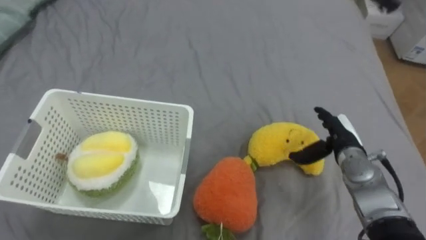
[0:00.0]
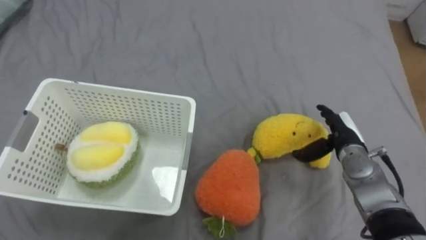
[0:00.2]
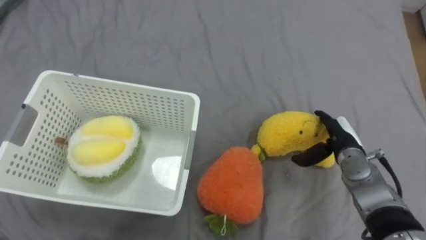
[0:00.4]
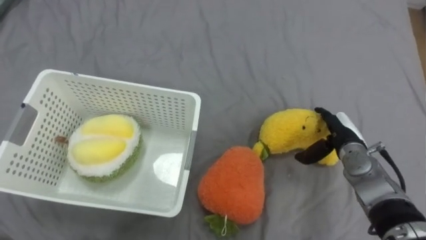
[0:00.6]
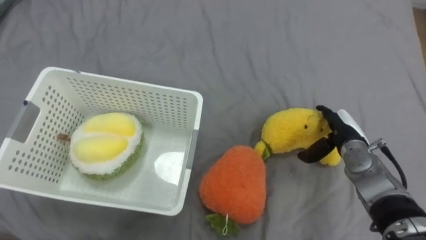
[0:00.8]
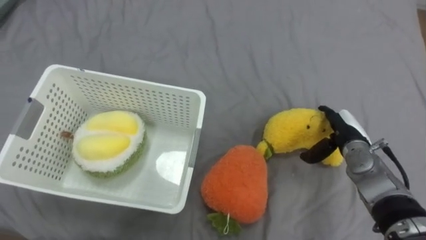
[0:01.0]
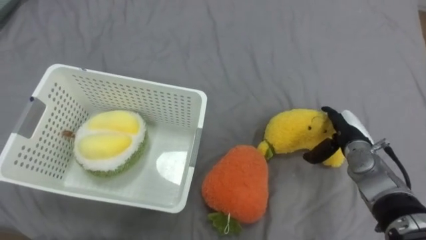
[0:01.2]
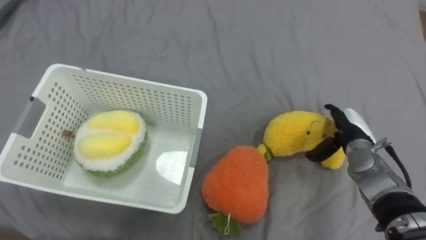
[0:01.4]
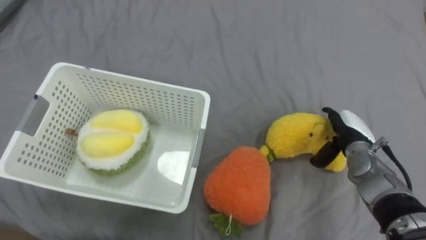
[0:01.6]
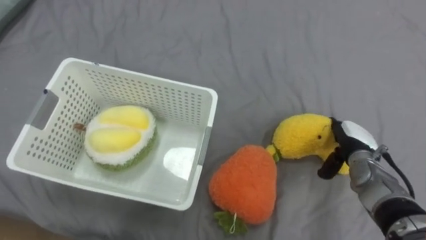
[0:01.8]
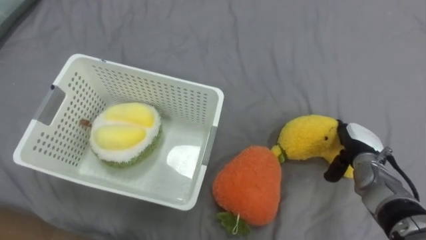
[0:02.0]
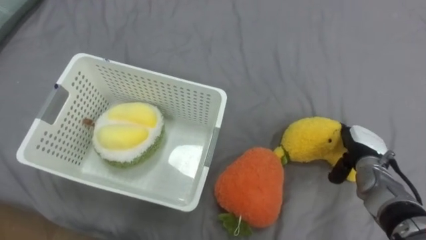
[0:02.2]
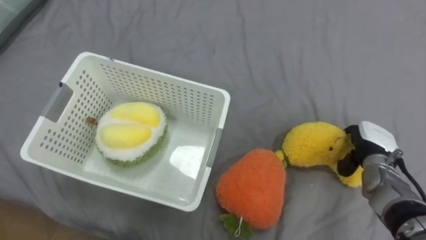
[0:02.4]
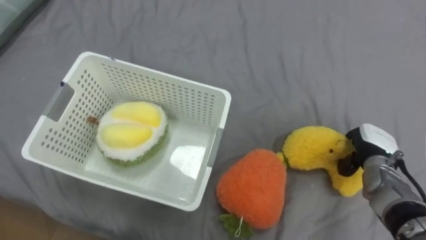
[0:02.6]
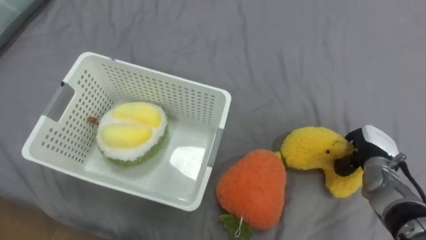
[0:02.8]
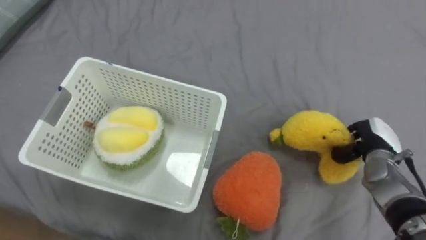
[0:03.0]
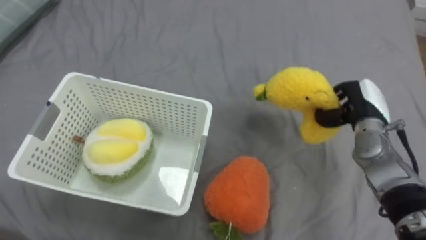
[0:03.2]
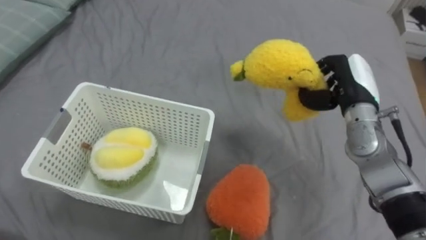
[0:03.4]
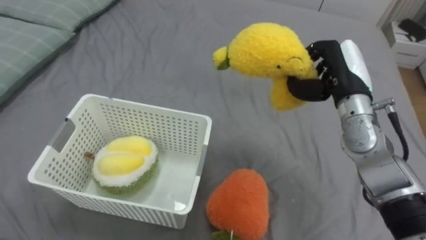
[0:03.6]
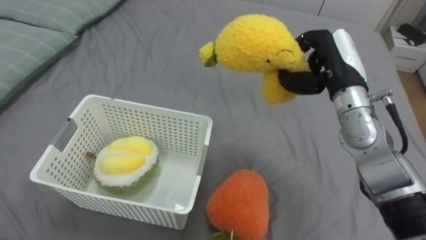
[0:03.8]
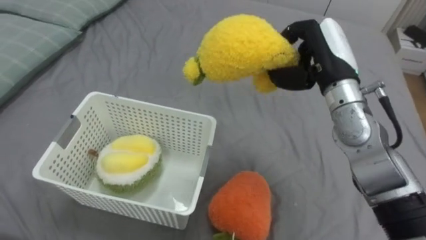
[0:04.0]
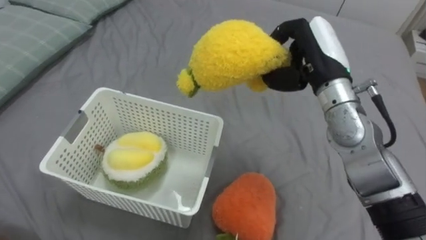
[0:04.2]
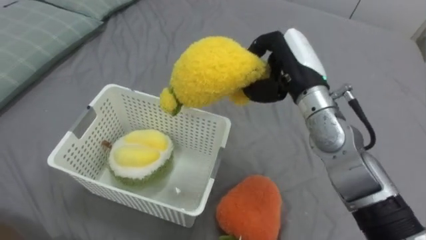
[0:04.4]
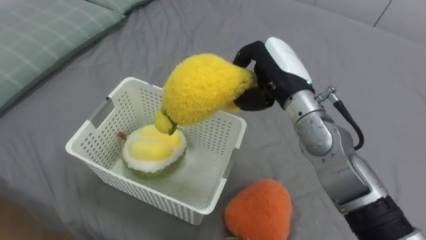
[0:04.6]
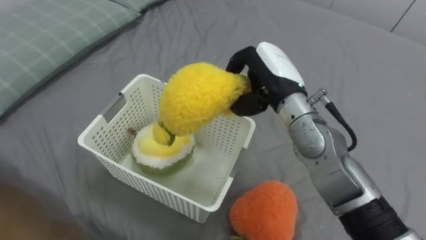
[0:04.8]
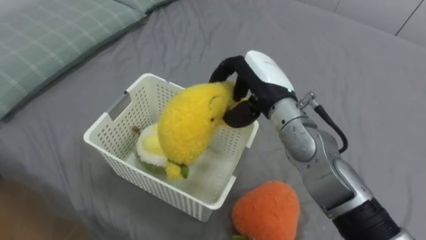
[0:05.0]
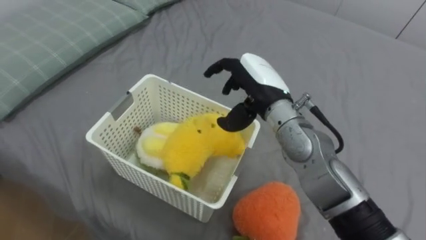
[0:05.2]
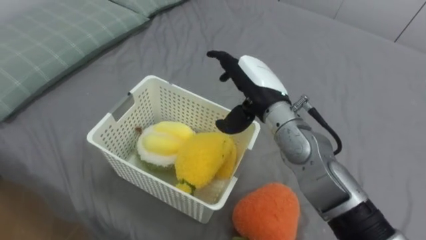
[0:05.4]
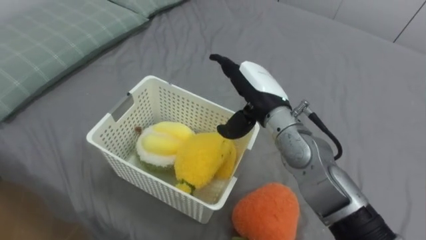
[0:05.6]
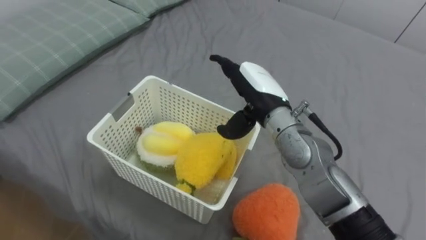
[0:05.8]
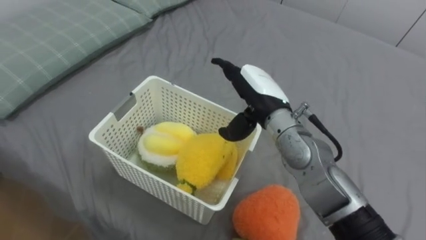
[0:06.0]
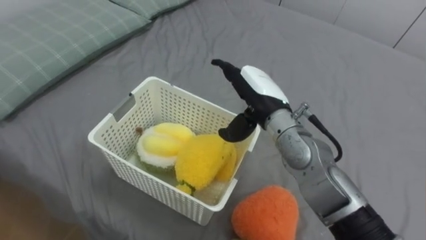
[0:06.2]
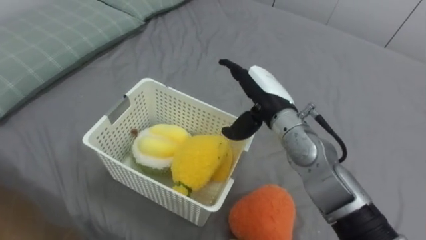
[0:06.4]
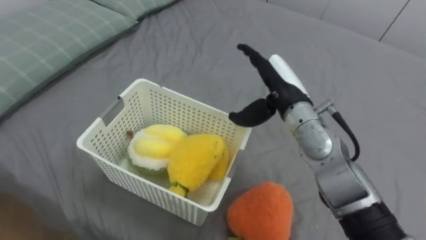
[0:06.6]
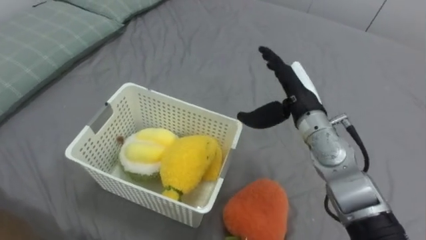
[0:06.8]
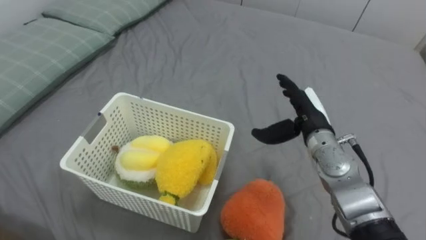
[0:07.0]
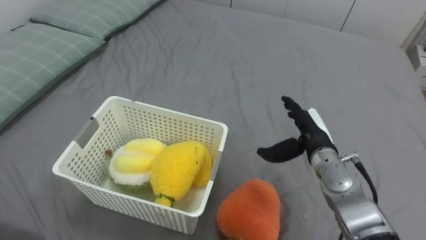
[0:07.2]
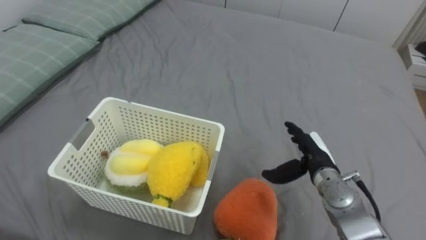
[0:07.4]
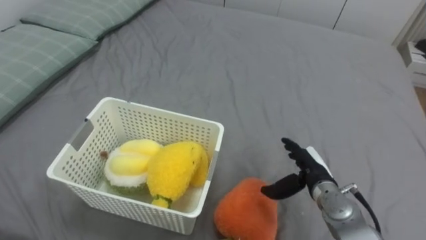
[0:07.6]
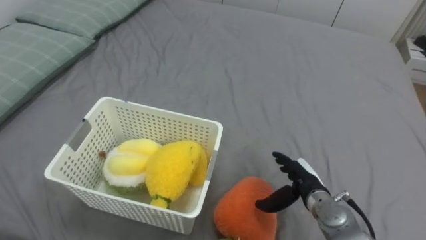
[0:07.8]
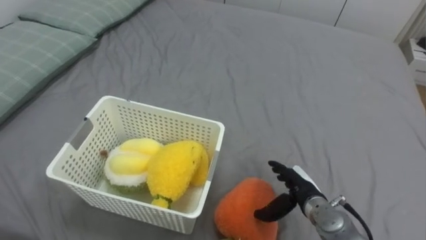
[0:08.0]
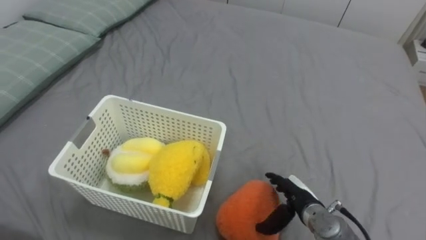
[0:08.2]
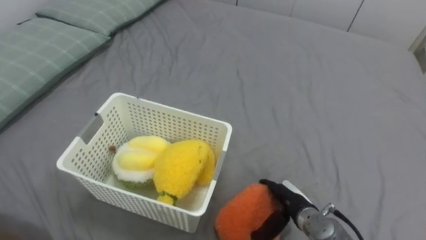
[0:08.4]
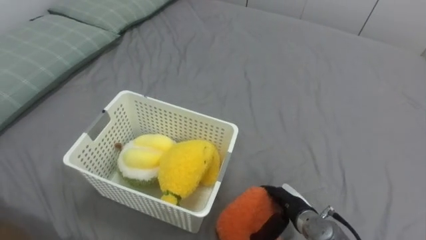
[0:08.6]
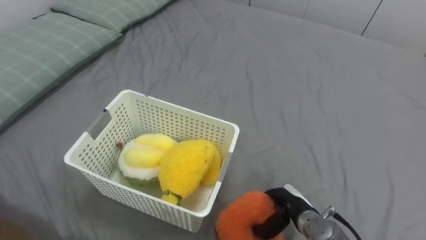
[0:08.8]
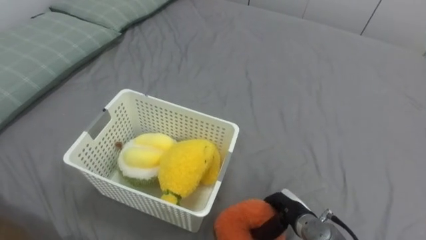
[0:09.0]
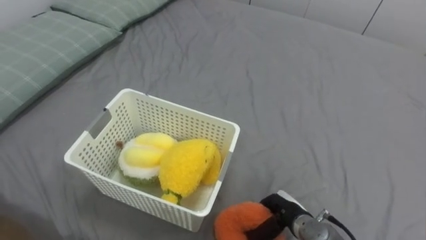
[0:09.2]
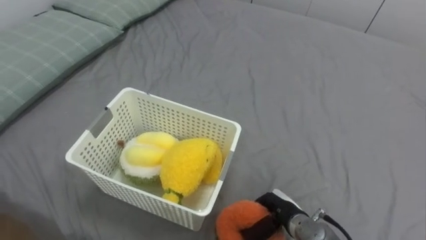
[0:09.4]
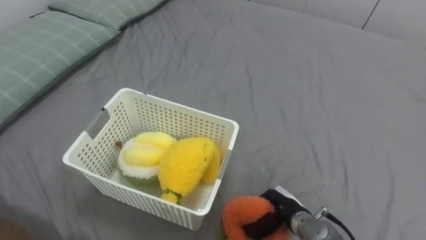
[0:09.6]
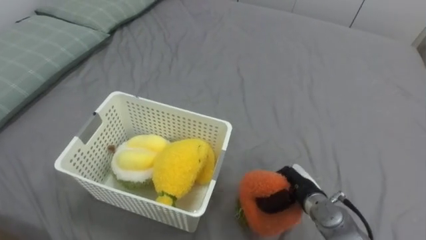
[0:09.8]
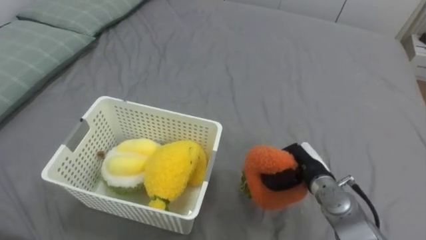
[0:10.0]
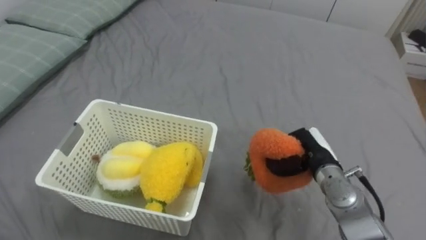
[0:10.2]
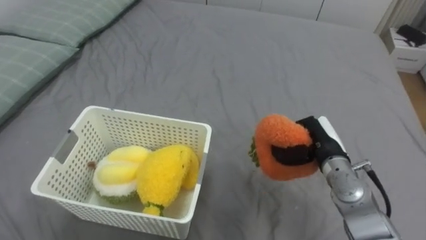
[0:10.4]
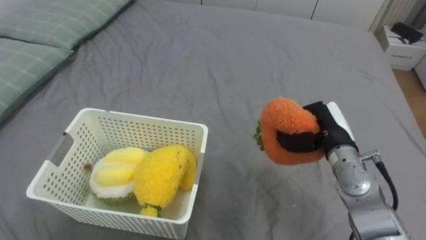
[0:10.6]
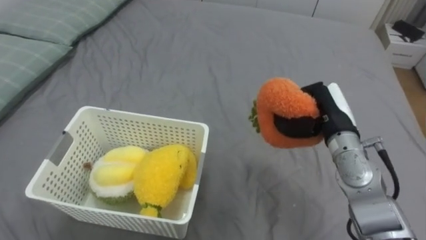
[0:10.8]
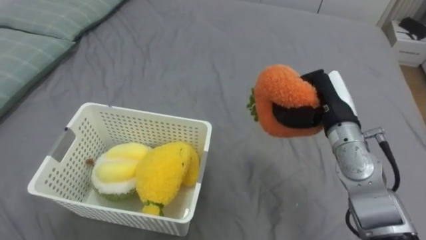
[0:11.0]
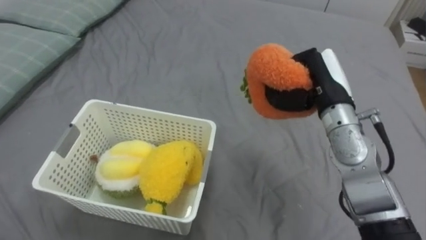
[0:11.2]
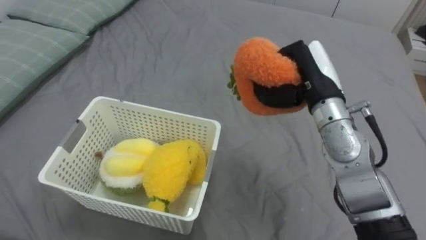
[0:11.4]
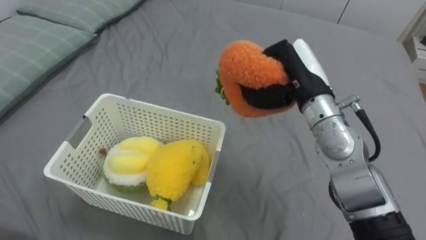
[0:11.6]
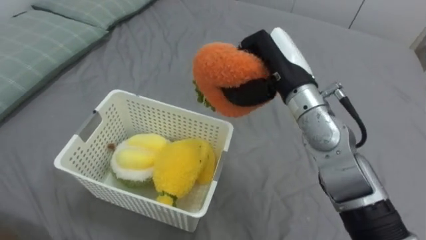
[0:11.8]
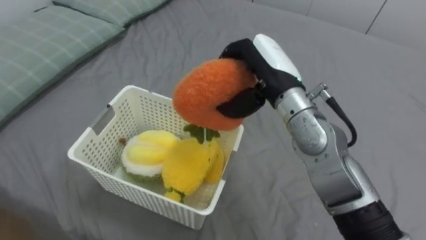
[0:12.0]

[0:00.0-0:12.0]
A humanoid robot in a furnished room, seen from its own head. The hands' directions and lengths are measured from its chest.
Task of the whole recording: Put the toys on the bed into the basket on the left.
0:01.6 to 0:03.0: The right hand shifts by about 5 cm, and closes its fingers.
0:03.0 to 0:04.4: The right hand moves to the left and upward, roughly 25 cm.
0:04.4 to 0:06.0: The right hand travels to the left by some 5 cm, and opens its fingers.
0:06.0 to 0:07.6: The right hand moves downward and to the right, roughly 20 cm.
0:07.6 to 0:09.0: The right hand heads downward and backward, covering some 10 cm, and closes.
0:09.0 to 0:10.4: The right hand shifts some 15 cm upward, forward and to the right.
0:10.4 to 0:12.0: The right hand goes roughly 20 cm upward and to the left, and opens its fingers.

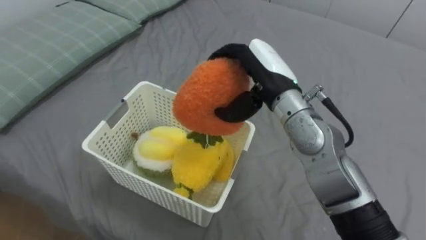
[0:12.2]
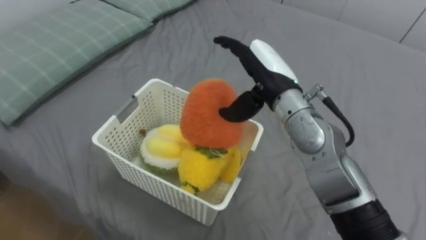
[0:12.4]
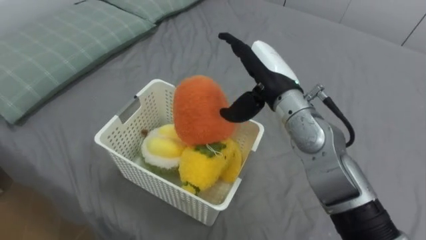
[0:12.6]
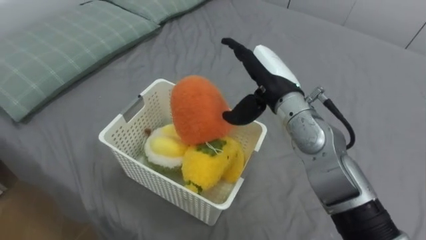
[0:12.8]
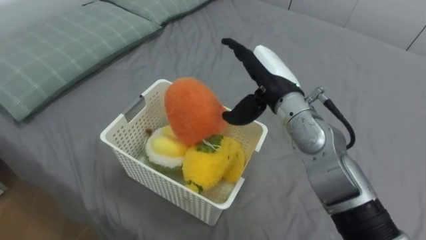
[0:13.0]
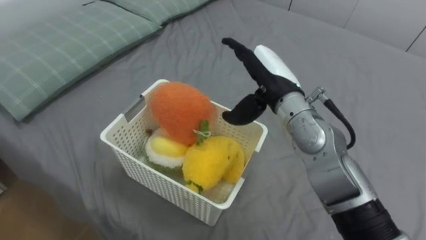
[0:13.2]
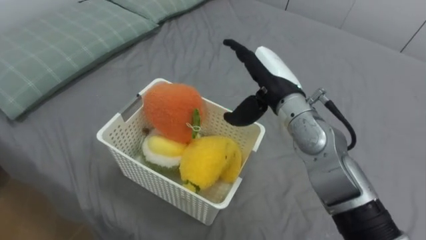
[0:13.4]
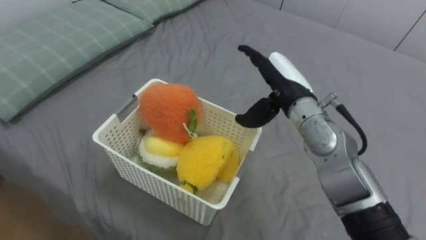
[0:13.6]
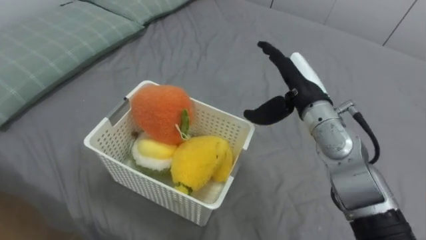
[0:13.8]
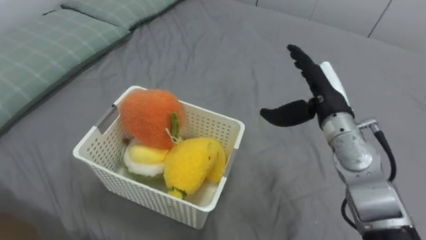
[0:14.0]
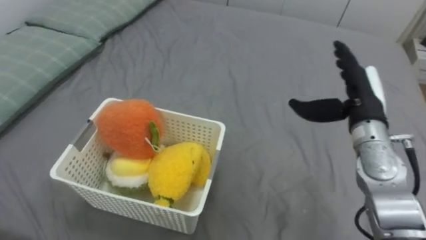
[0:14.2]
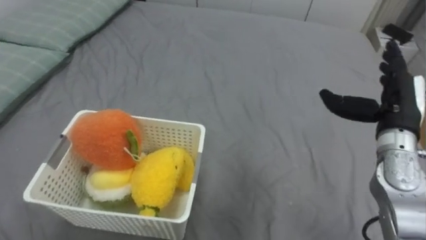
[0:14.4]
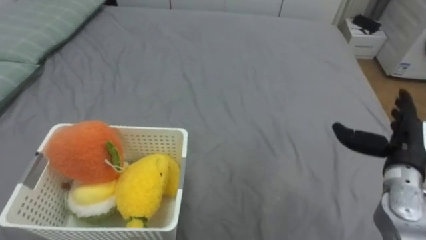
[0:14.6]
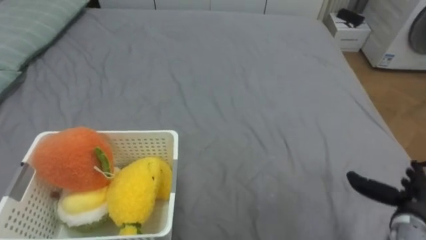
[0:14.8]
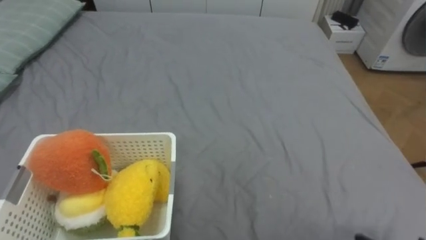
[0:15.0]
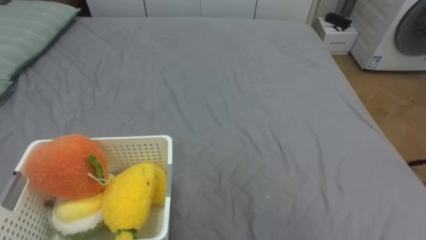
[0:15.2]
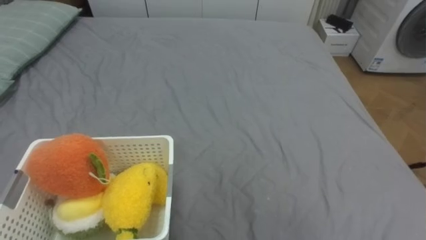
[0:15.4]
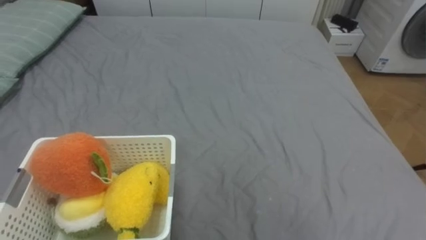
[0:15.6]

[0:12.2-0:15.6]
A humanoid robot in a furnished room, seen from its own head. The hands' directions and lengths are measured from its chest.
Task of the whole recording: Put the toys on the bed into the basket on the left.
0:12.2 to 0:13.8: The right hand shifts roughly 5 cm to the right.

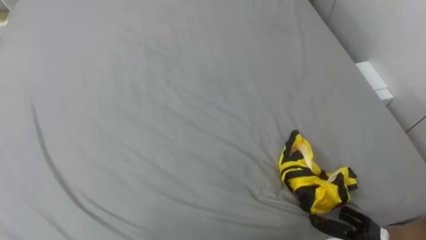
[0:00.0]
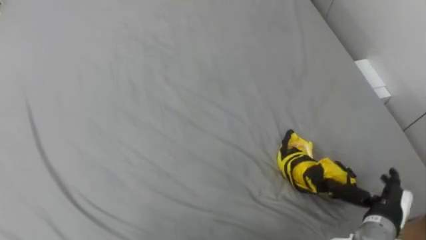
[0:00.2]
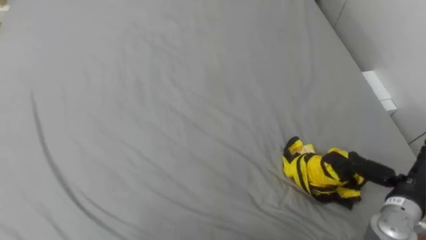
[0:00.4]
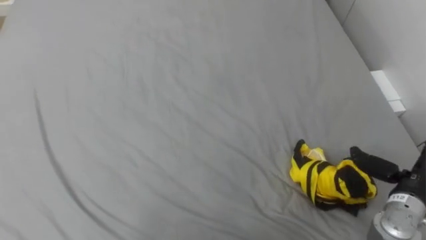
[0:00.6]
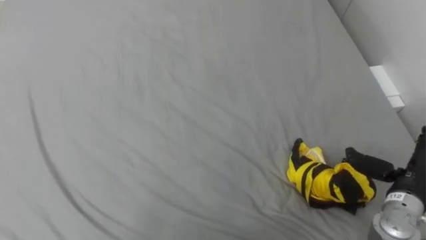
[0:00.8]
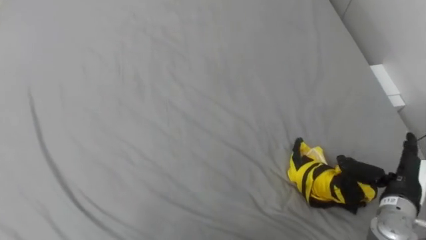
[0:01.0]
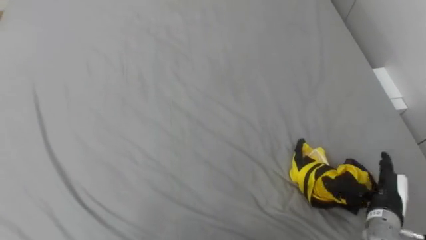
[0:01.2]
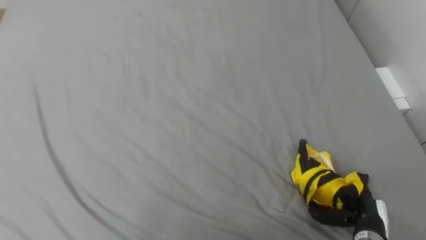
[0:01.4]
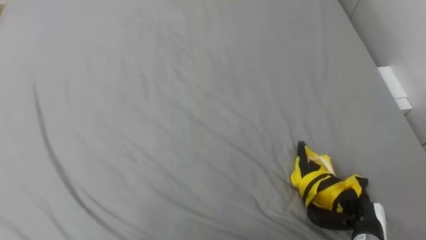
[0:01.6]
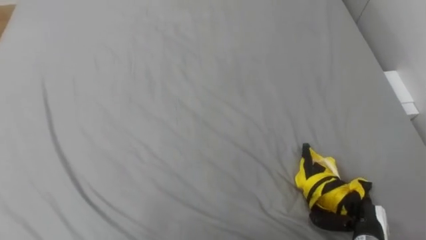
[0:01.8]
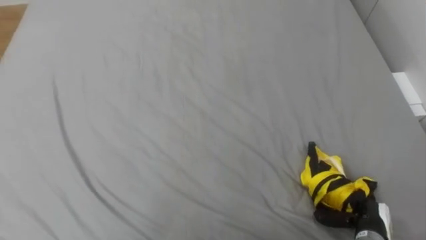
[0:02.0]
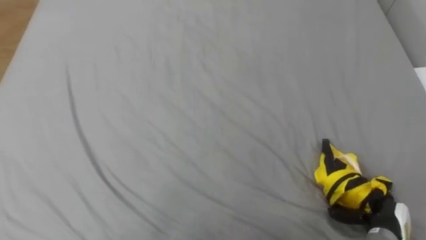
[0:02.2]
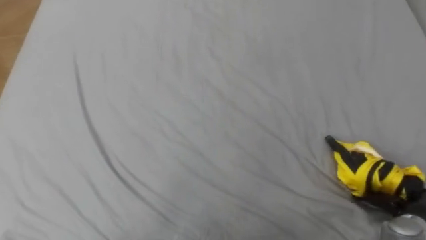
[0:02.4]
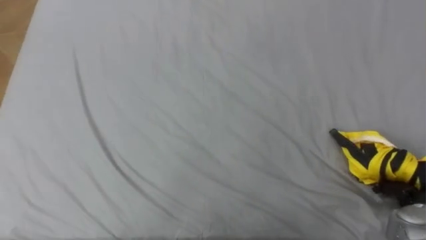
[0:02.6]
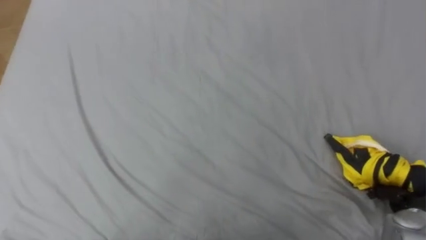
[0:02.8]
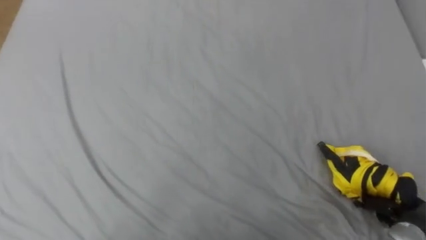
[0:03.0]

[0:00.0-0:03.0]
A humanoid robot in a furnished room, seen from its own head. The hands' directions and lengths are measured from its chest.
Task of the whole recording: Pick up the yellow clothes on the bed and place them into the white basket on the right.
0:01.6 to 0:03.0: The right hand travels to the right by some 10 cm, and closes its fingers.
